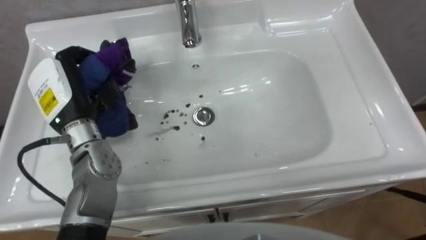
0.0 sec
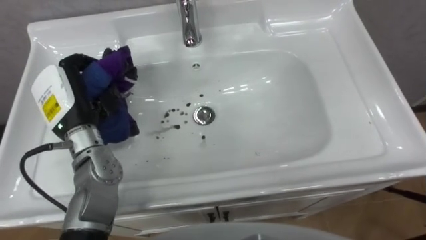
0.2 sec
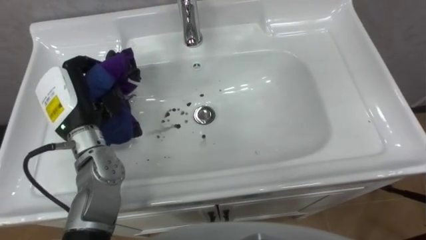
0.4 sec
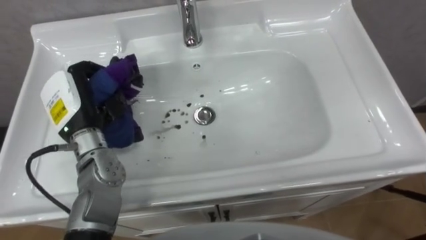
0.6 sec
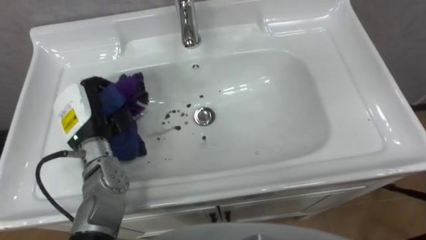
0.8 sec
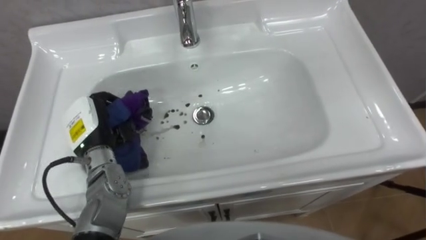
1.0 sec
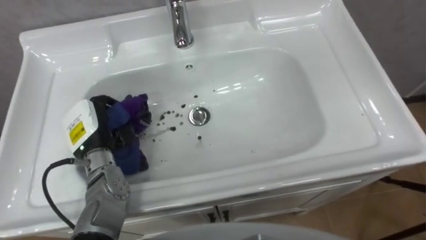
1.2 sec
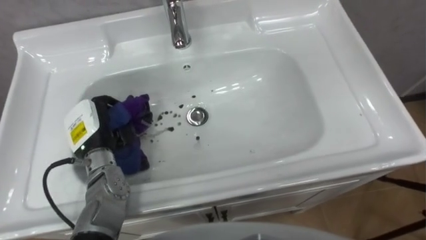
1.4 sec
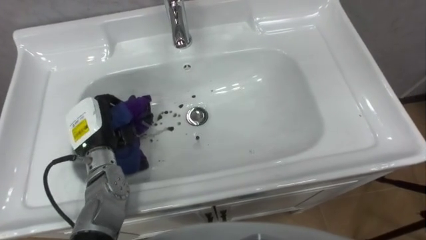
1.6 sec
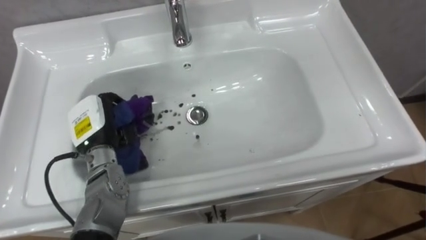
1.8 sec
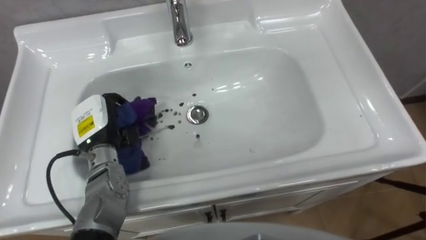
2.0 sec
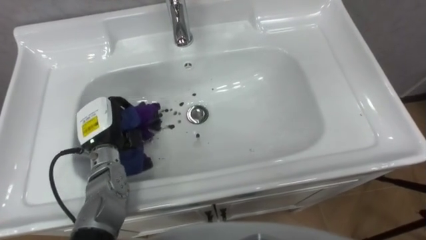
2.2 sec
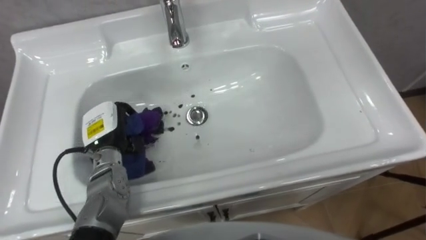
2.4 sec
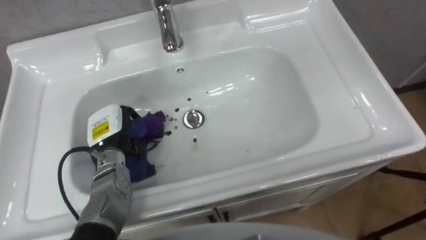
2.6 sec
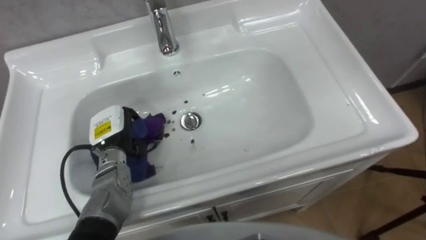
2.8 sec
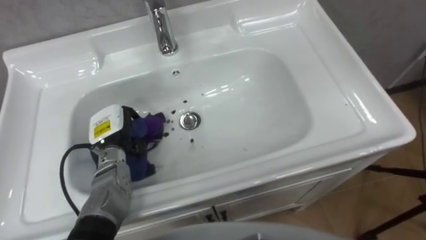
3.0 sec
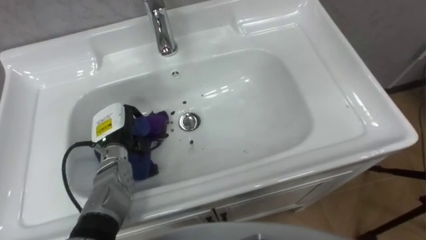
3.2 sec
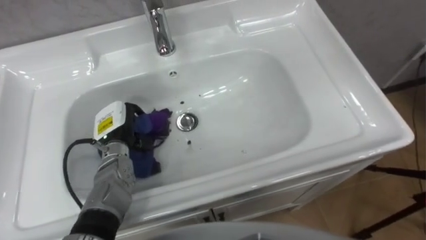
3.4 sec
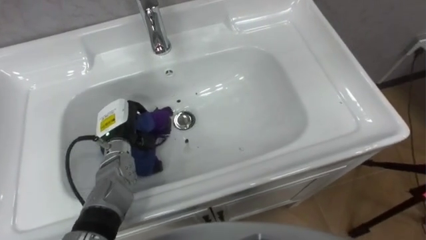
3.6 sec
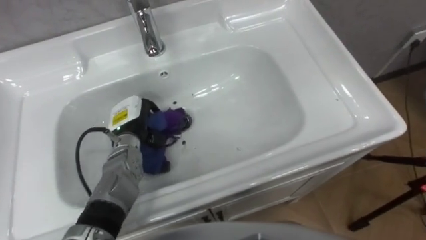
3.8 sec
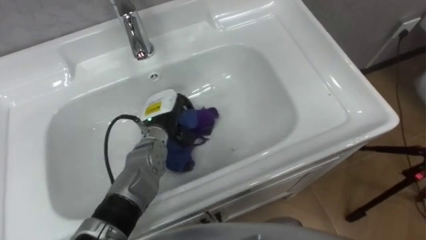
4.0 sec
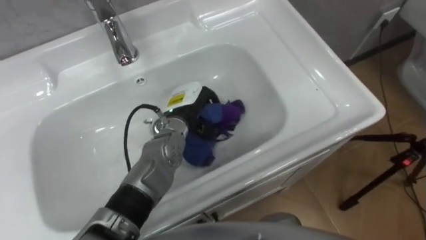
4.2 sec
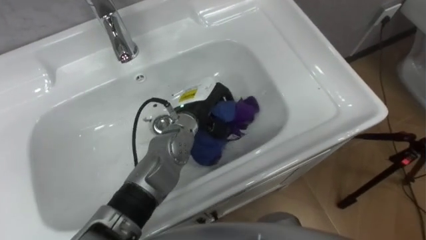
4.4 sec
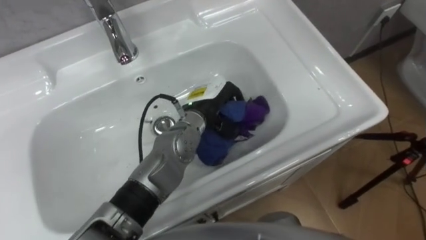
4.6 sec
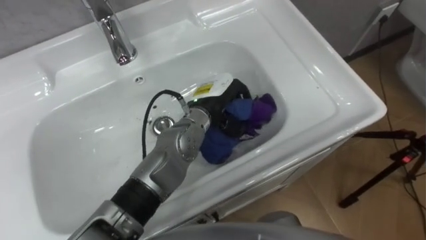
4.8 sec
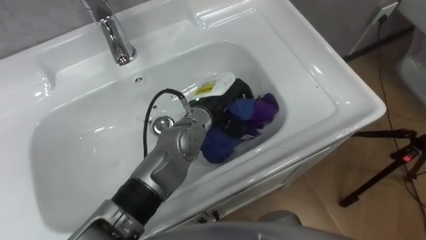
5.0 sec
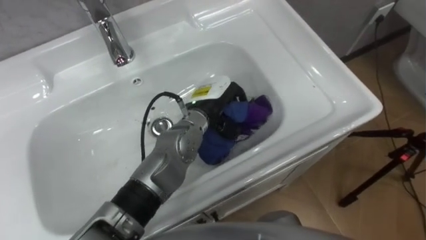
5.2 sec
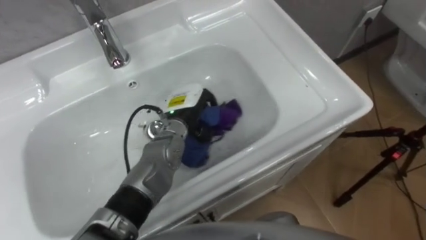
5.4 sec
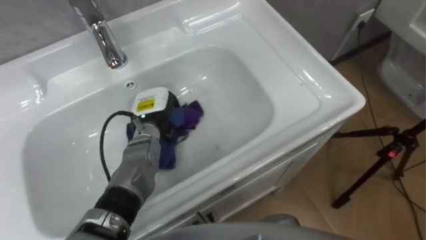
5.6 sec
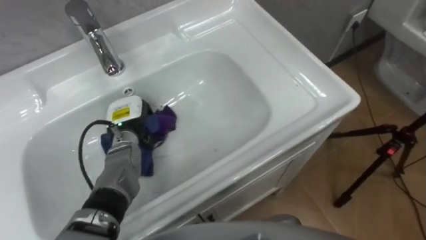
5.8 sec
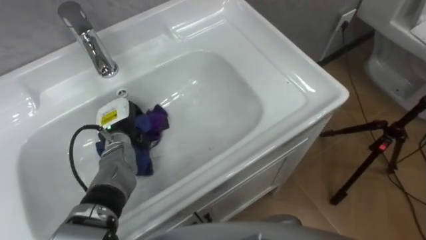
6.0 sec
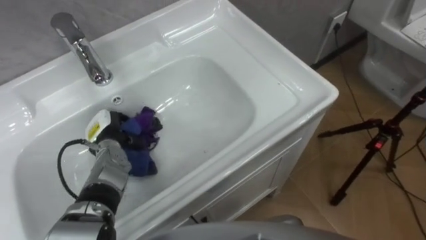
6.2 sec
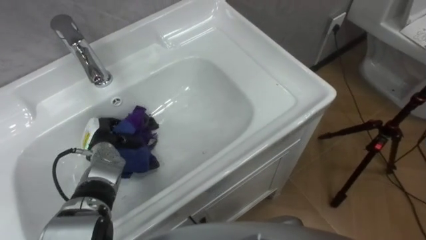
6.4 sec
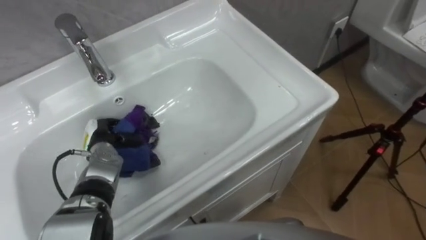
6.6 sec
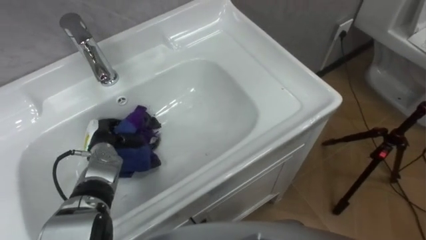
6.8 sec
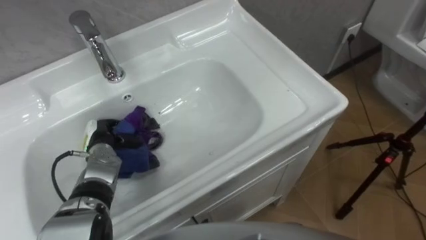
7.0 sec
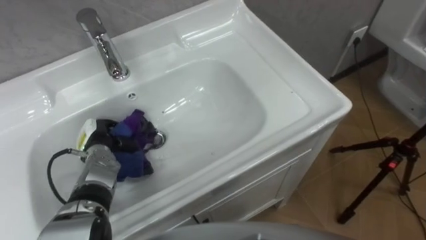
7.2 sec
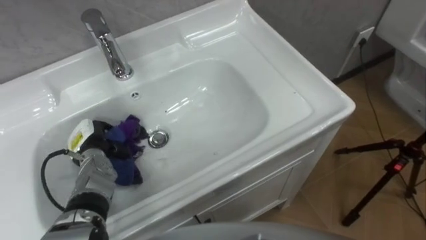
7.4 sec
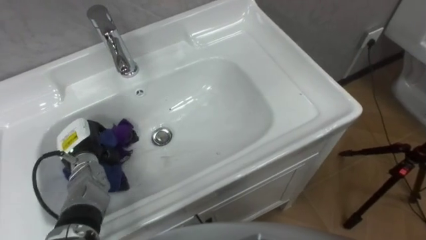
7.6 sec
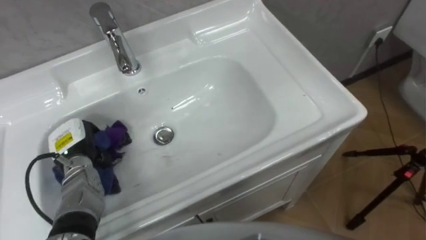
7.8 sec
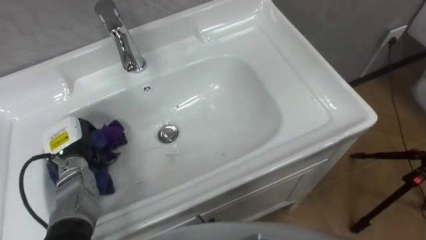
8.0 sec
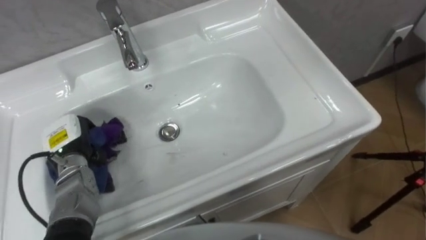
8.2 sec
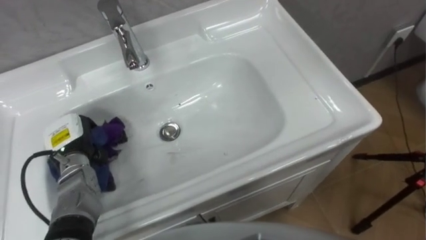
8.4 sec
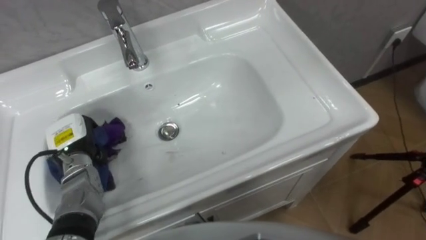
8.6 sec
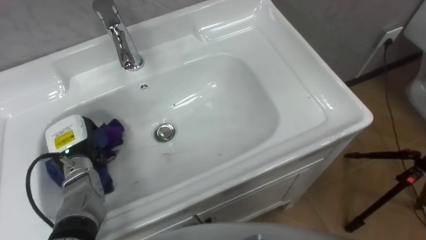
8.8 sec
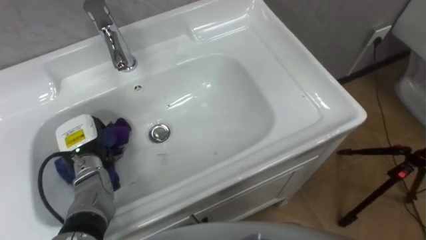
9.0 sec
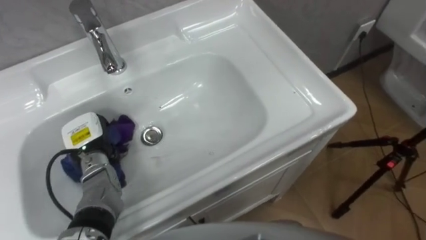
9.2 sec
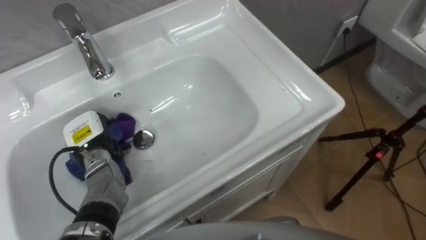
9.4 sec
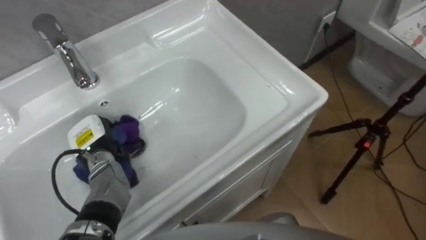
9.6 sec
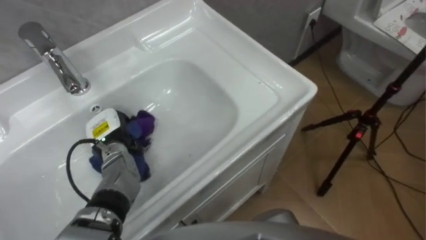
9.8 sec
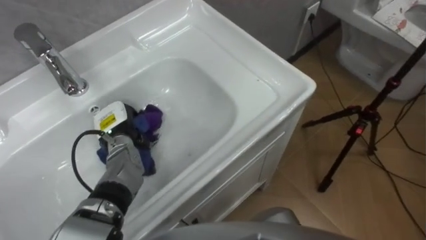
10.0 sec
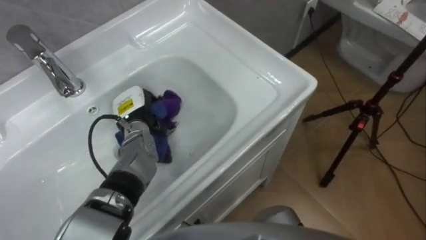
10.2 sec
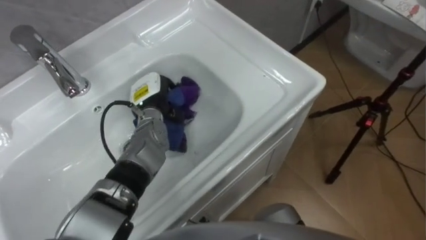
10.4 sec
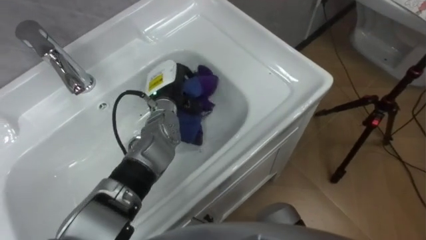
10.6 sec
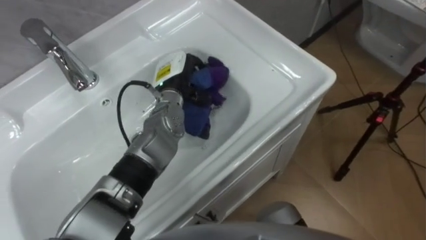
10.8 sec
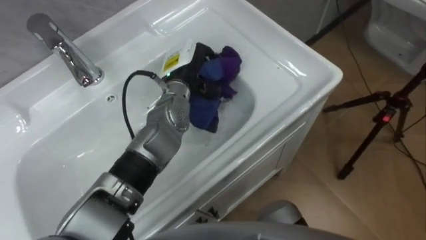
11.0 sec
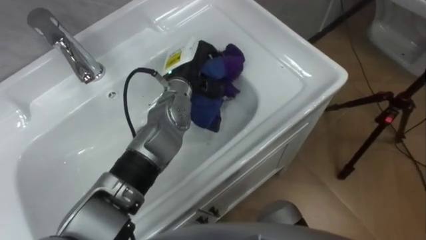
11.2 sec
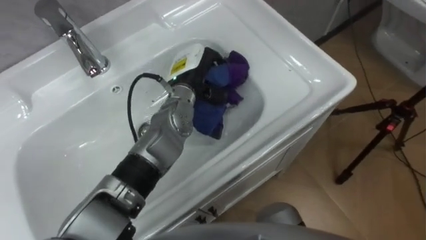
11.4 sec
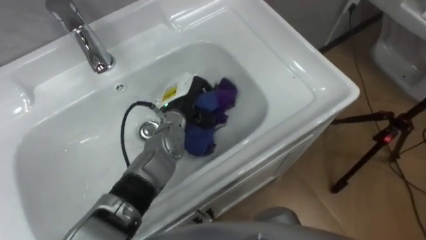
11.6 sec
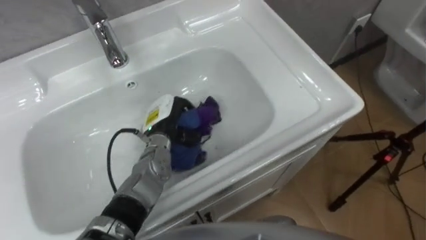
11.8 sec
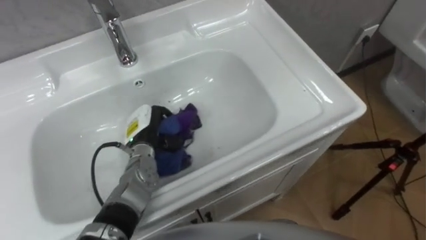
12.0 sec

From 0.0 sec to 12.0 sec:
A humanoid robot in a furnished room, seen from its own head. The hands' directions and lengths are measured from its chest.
Task of the whole recording: Use the cloth on the right to wipe away the black stain in the sink.
From 0.0 sec to 1.6 sec: The left hand heads downward, covering about 10 cm.
From 1.6 sec to 3.0 sec: The left hand moves some 5 cm.
From 3.0 sec to 4.4 sec: The left hand travels to the right by about 20 cm.
From 4.4 sec to 6.0 sec: The left hand travels to the left by roughly 20 cm.
From 6.0 sec to 7.6 sec: The left hand is displaced to the left and backward by about 10 cm.
From 9.0 sec to 10.4 sec: The left hand moves to the right and forward, roughly 20 cm.
From 10.4 sec to 12.0 sec: The left hand is displaced backward by about 5 cm, and goes upward and returns, roughly 10 cm each way.

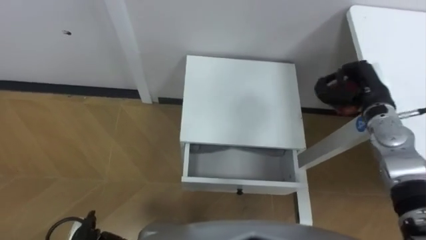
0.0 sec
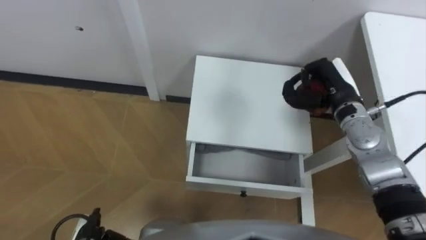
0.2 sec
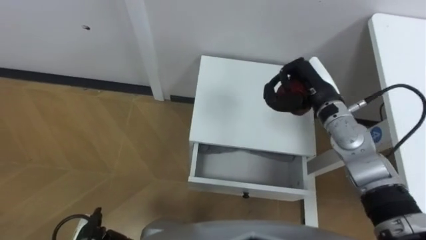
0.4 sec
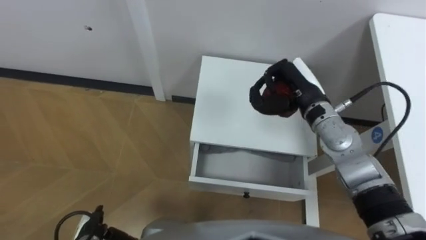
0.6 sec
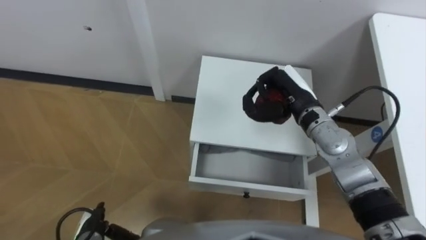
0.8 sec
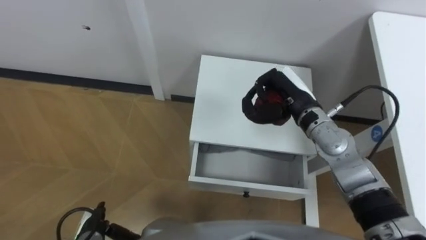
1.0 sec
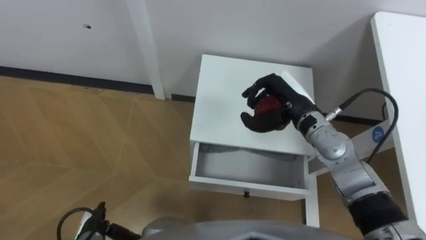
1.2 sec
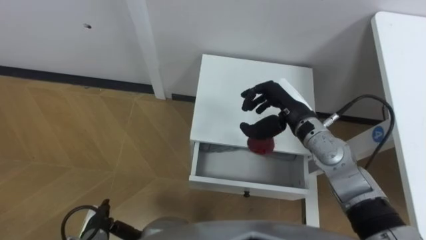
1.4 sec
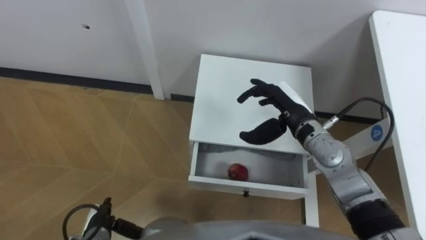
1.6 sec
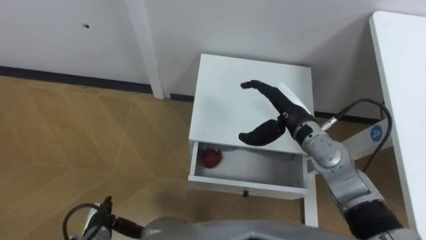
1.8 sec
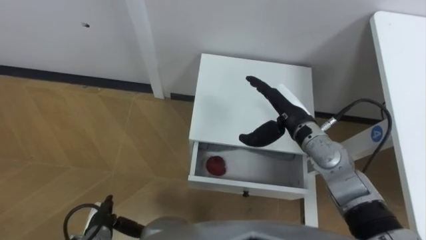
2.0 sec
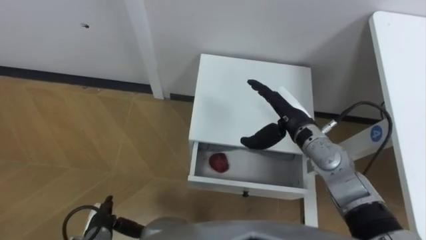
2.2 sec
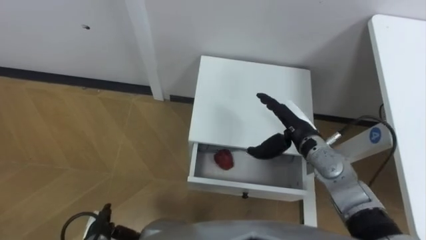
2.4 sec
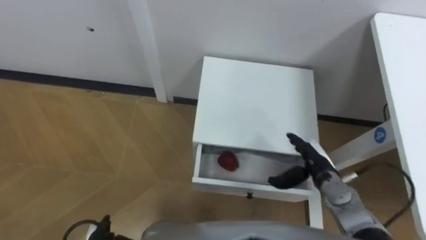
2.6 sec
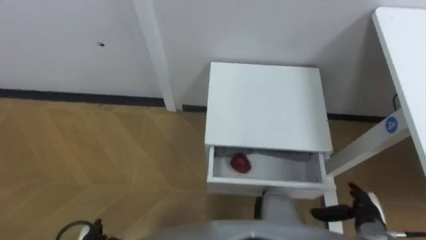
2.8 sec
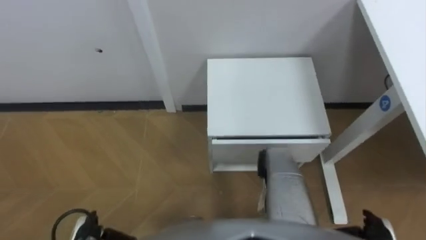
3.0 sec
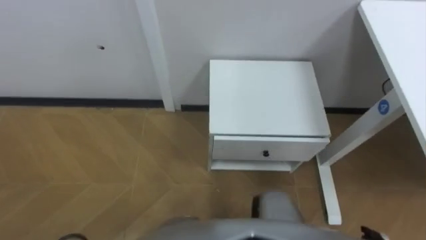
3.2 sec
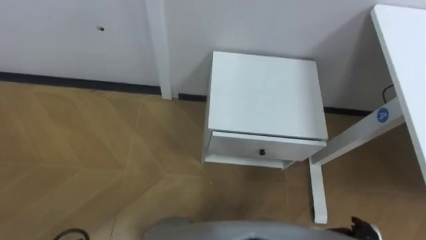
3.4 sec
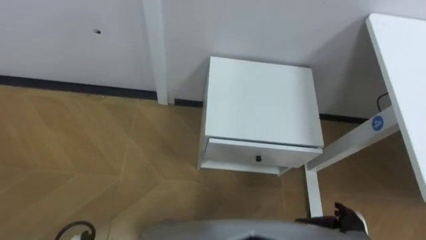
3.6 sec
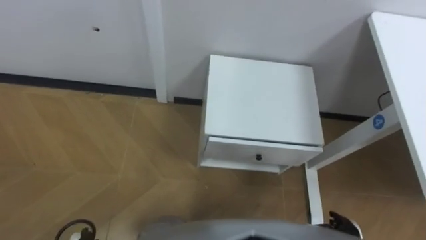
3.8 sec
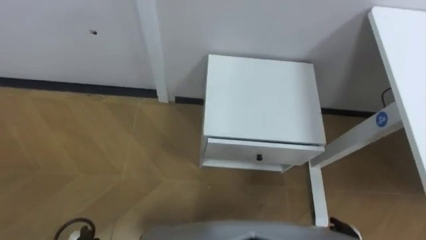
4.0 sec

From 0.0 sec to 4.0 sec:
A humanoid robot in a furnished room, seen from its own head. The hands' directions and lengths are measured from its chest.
Task of the whole recording: Pick up the apple from the table, put it in the drawer, and close the drawer with leg.
From 0.0 sec to 1.4 sec: The right hand is displaced to the left by some 15 cm, and opens up.
From 1.4 sec to 2.6 sec: The right hand moves downward, backward and to the right, roughly 15 cm, and opens up.
